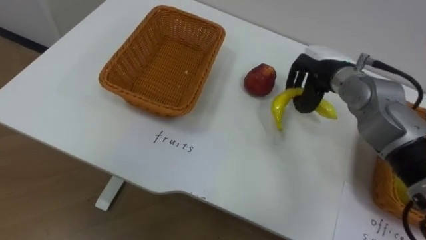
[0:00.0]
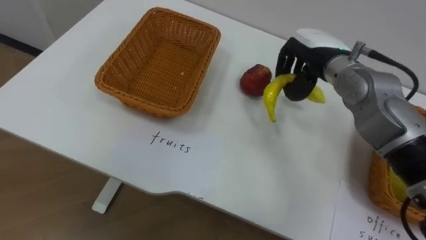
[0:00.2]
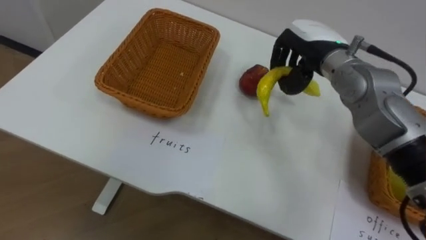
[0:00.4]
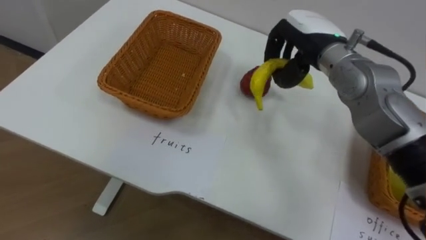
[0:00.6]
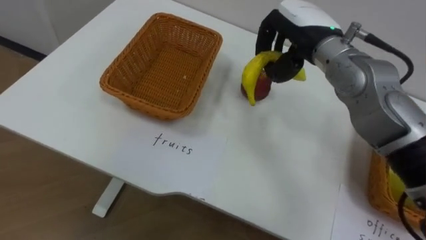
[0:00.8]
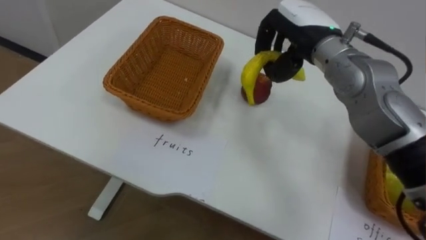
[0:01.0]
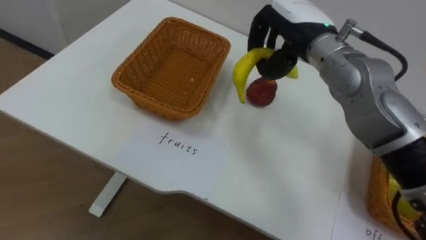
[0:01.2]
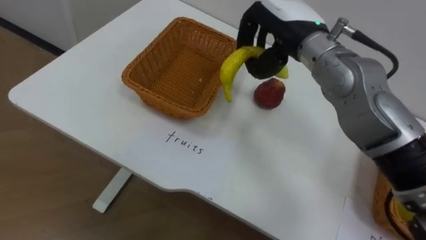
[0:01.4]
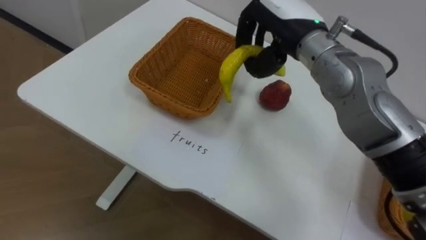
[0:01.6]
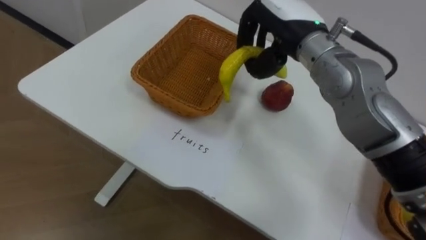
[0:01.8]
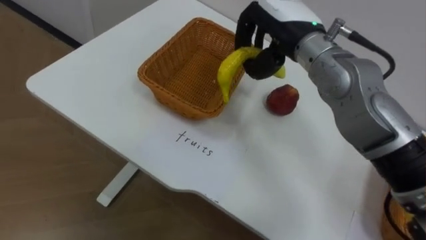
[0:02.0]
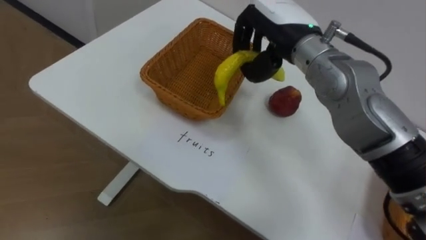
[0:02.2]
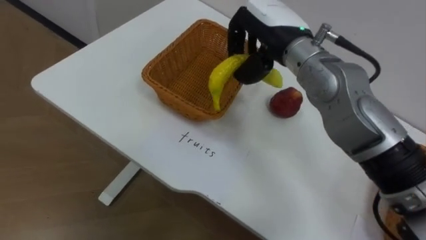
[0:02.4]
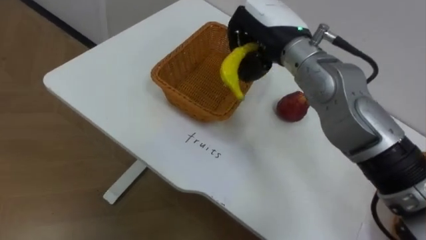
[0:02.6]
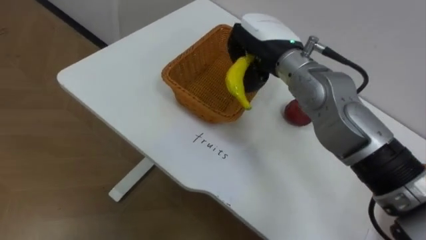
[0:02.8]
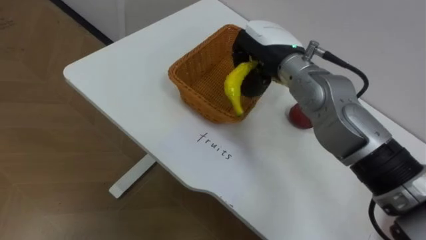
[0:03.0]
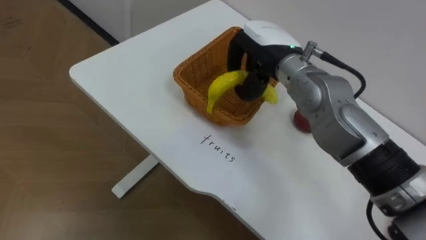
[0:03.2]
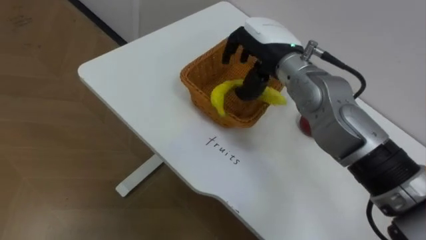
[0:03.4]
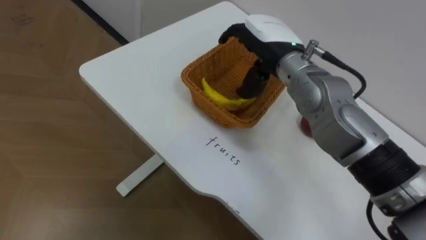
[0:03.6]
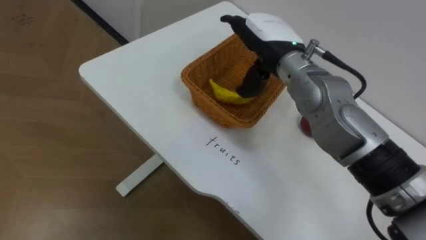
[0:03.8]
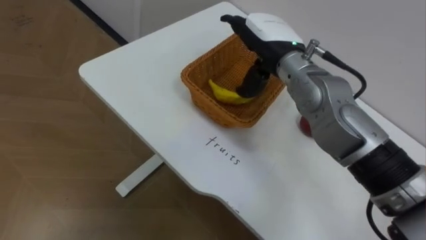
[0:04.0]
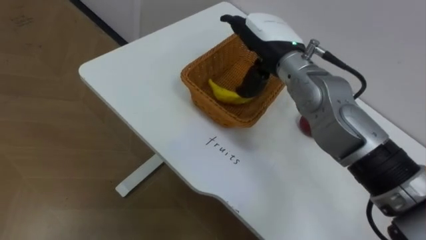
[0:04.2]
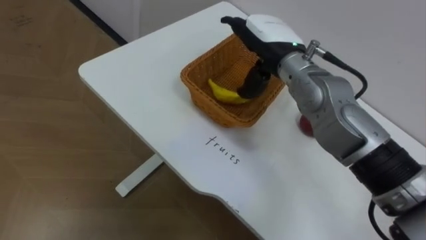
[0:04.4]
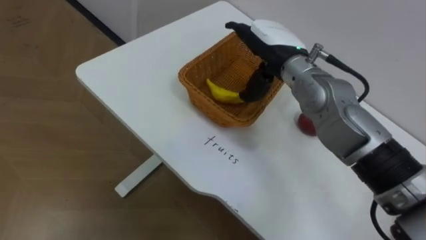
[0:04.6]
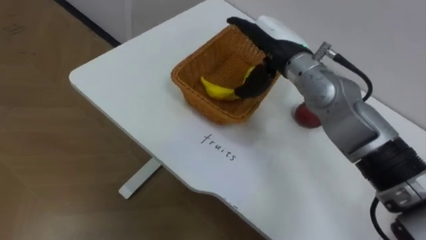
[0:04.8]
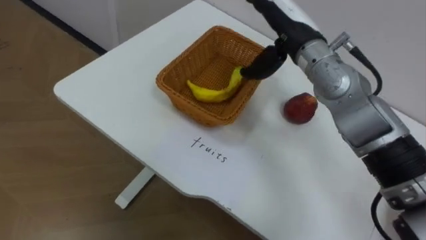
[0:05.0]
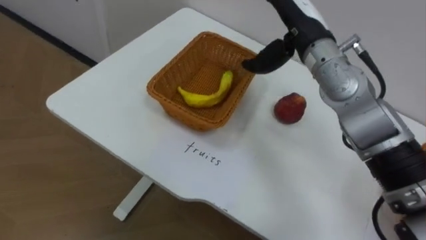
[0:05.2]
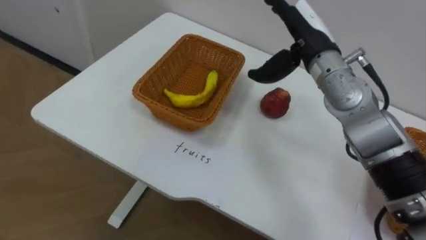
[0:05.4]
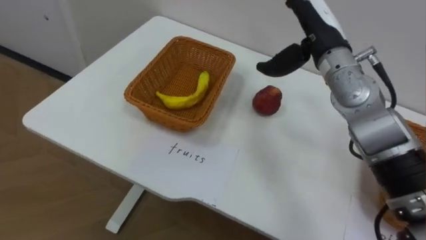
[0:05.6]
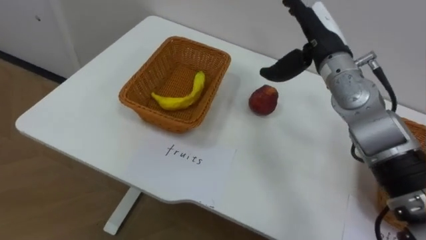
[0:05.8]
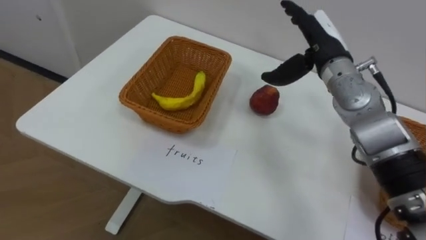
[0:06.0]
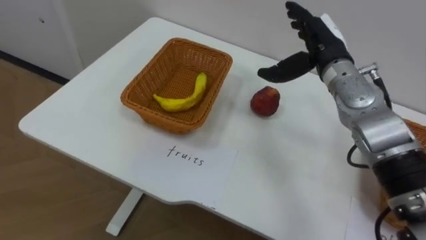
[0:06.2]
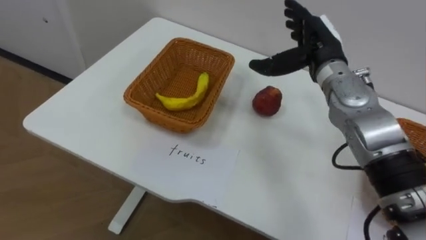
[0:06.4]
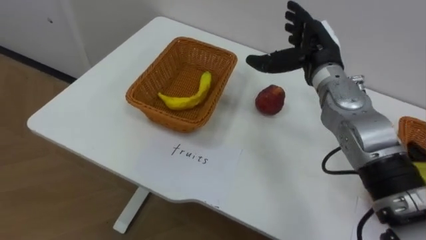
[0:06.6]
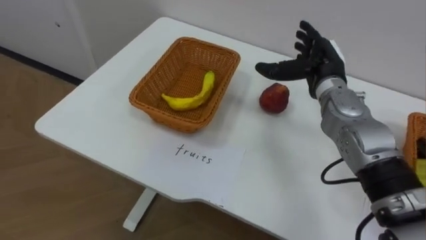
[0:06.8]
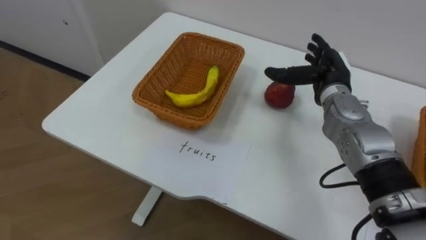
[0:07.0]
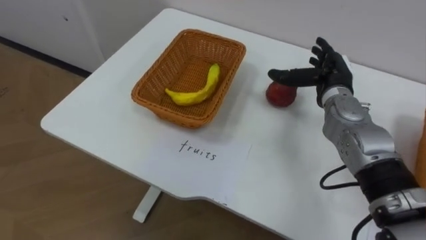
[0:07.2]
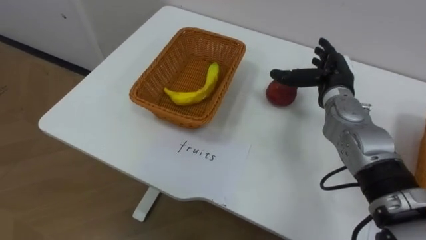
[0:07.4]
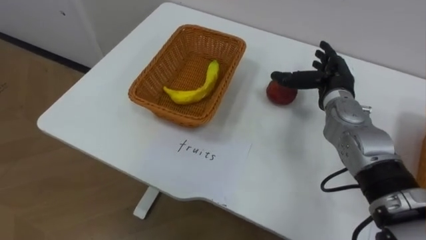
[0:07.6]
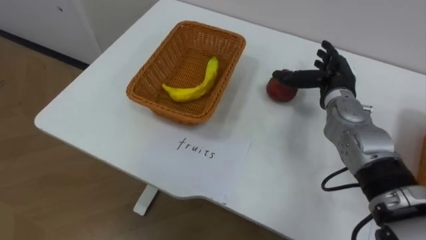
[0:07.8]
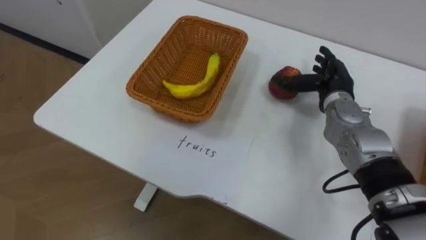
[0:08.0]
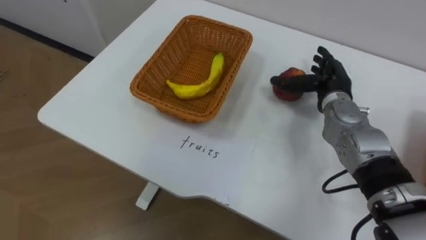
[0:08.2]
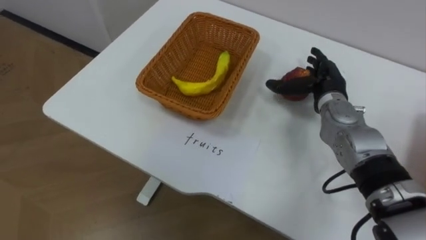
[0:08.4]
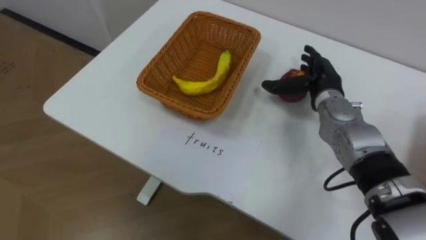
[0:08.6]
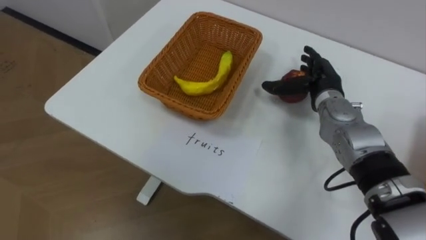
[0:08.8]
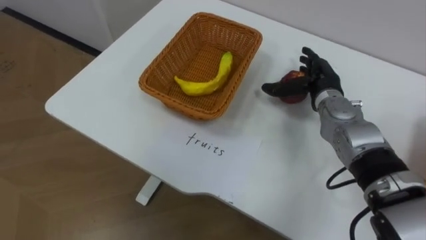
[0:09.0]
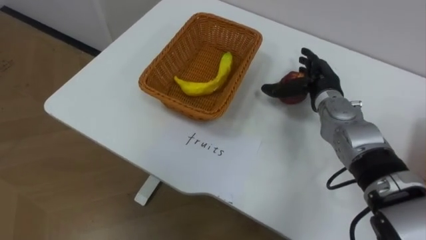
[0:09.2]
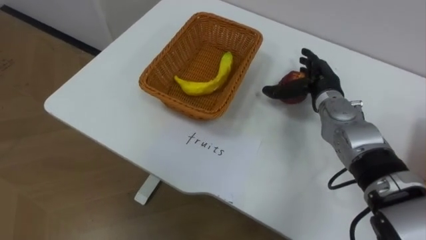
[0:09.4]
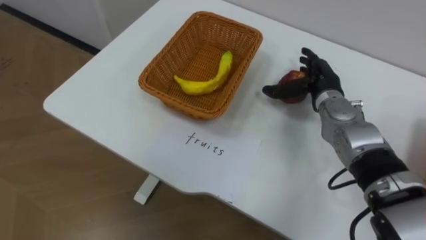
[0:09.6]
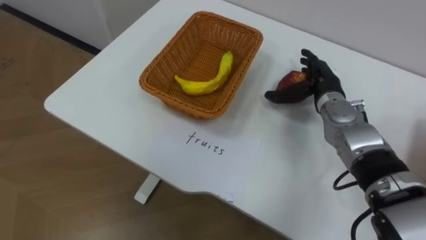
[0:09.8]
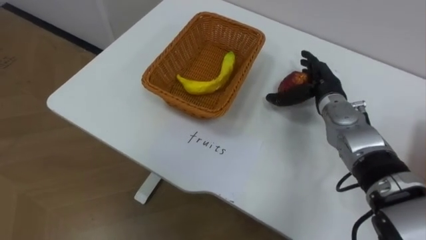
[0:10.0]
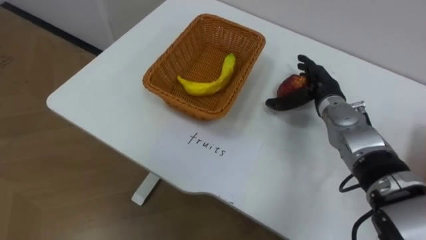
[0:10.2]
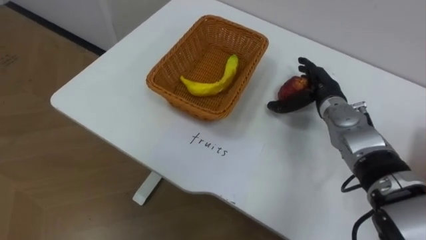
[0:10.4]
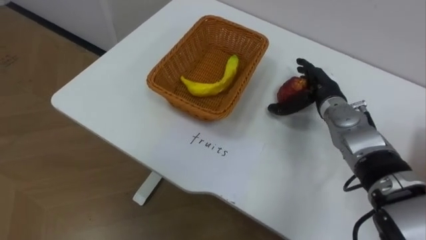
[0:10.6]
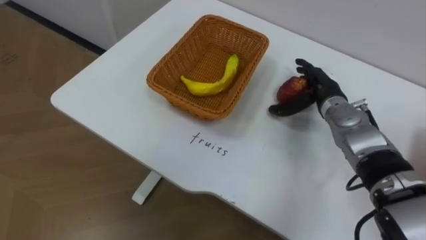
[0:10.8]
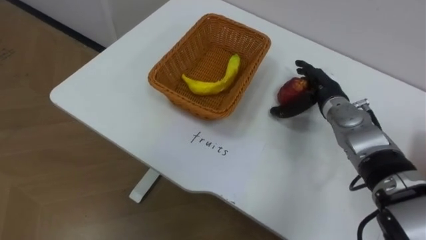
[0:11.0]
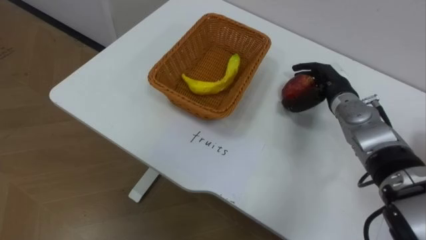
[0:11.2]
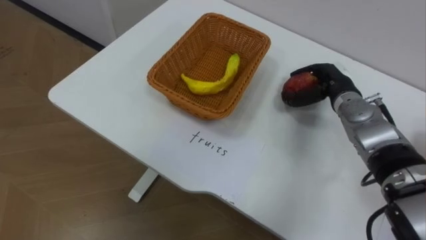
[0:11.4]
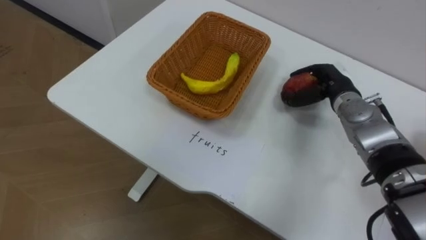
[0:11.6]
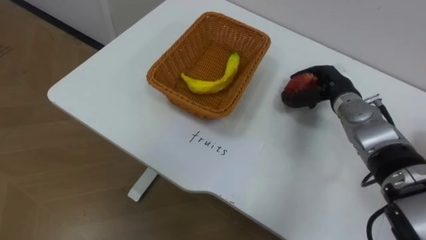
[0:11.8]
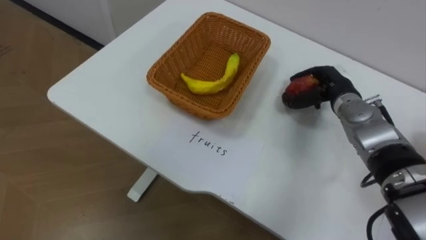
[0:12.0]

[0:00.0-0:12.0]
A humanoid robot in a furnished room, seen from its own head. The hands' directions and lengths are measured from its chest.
Task of the whole recording: Separate the items on the table and place them into the two baskets.
0:00.0 to 0:01.6: The right hand travels upward and to the left by roughly 15 cm.
0:01.6 to 0:03.0: The right hand ends up some 5 cm from where it was.
0:03.0 to 0:04.4: The right hand opens up.
0:04.4 to 0:06.0: The right hand travels to the right by some 10 cm.
0:06.0 to 0:07.6: The right hand travels downward by roughly 10 cm.
0:10.4 to 0:12.0: The right hand closes its fingers.

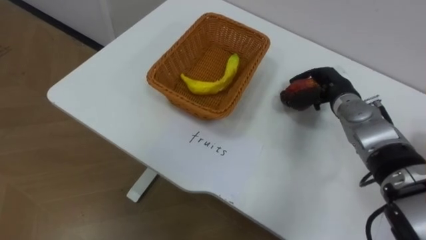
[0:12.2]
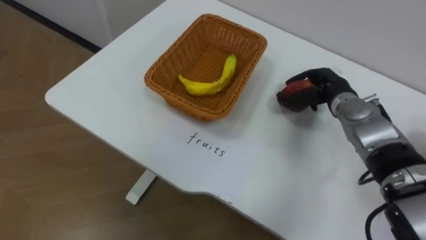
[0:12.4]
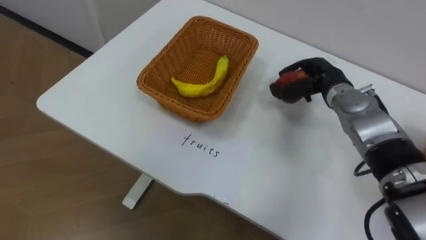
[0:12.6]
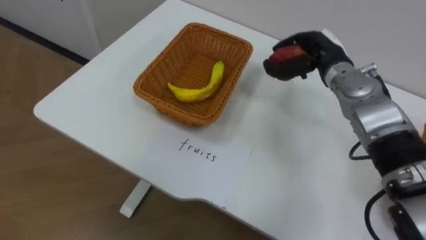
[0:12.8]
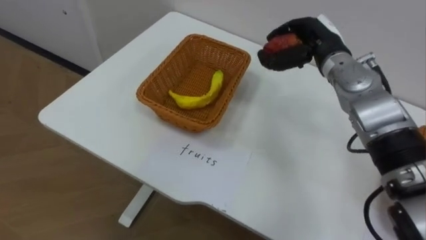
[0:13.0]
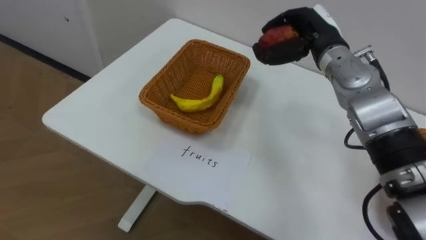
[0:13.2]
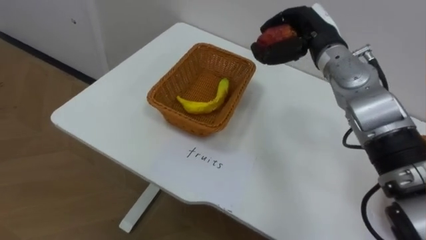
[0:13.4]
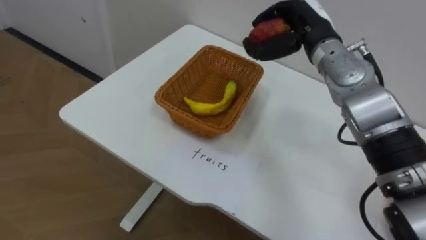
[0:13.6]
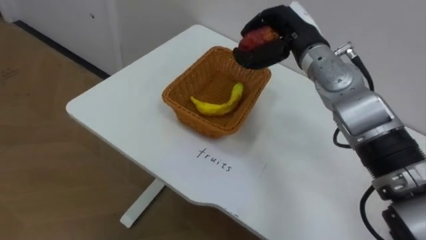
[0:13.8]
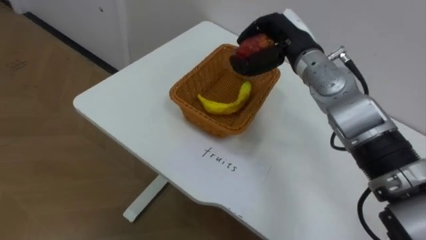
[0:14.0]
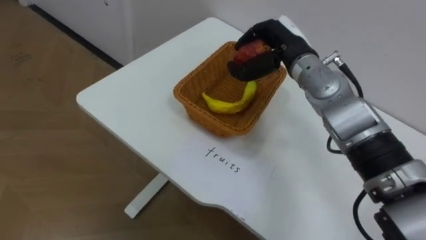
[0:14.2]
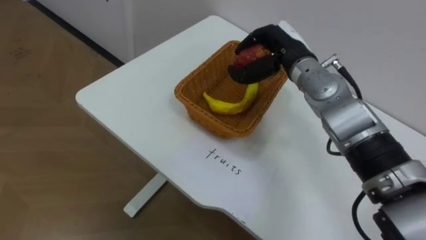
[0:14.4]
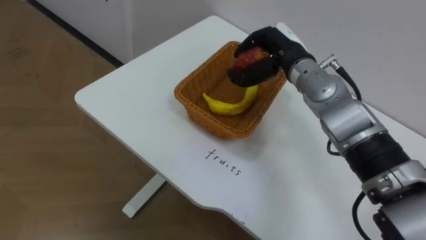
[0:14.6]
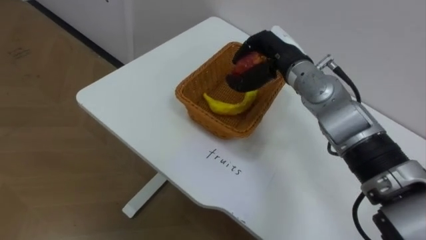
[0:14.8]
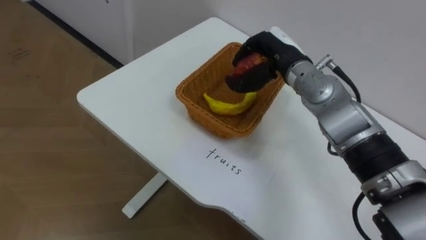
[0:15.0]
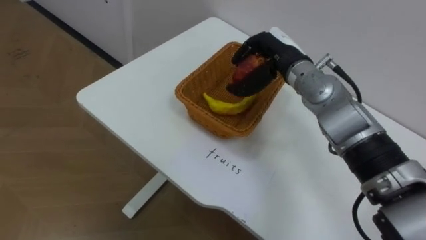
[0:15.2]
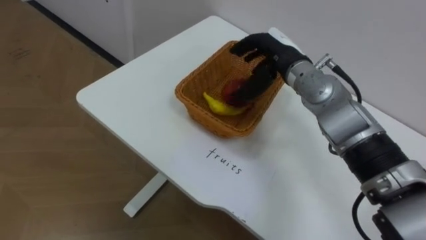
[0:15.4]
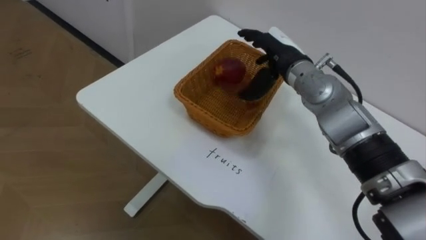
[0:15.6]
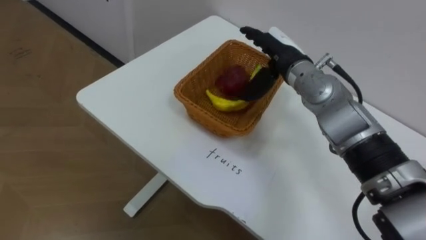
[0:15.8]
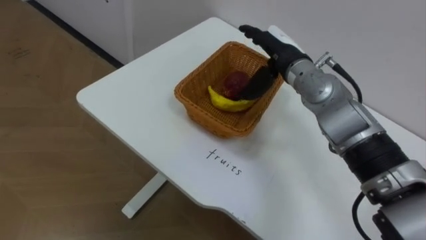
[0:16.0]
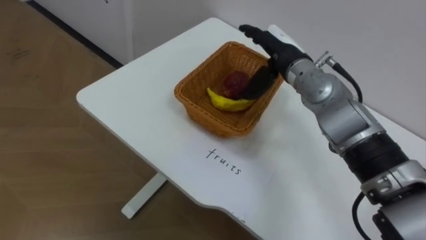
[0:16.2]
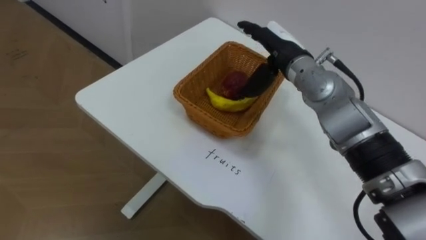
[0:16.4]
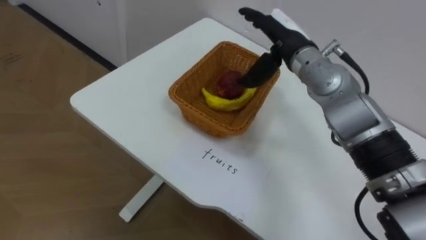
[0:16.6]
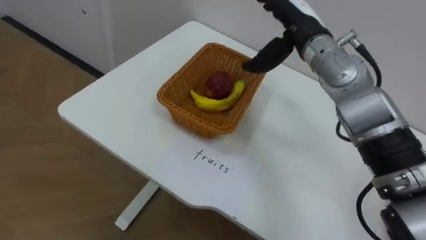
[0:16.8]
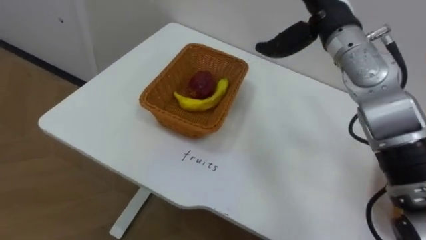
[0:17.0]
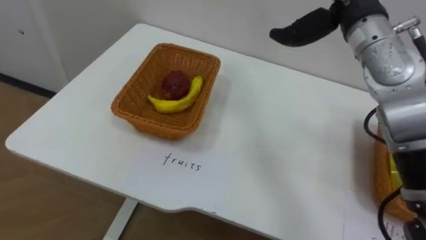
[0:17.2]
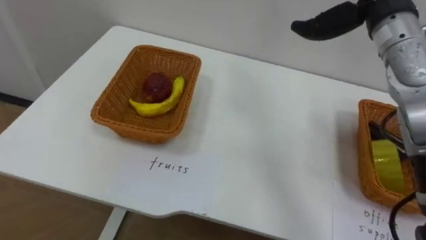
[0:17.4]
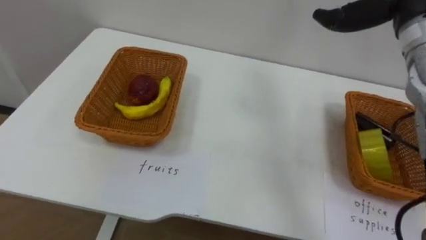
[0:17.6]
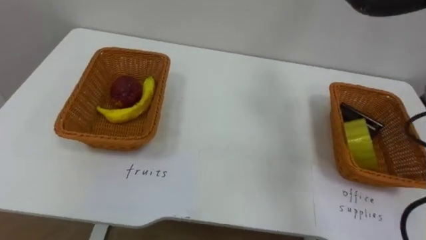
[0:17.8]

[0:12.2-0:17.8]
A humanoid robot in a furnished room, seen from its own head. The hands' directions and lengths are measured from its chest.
Task of the whole recording: Separate the items on the table and place them into the two baskets.
0:12.2 to 0:13.6: The right hand is displaced upward and to the left by some 15 cm.
0:13.6 to 0:15.0: The right hand shifts by about 5 cm.
0:15.0 to 0:16.4: The right hand opens up.
